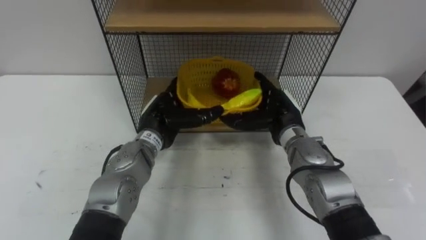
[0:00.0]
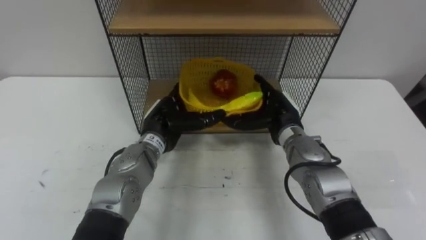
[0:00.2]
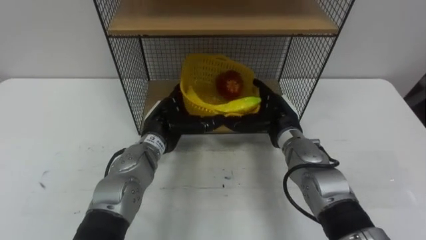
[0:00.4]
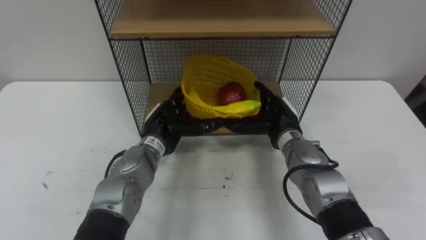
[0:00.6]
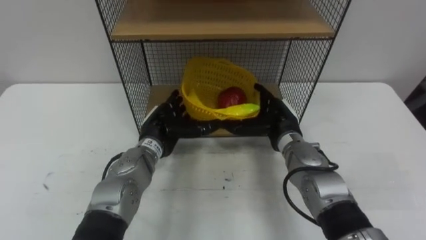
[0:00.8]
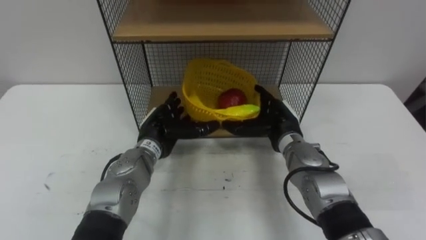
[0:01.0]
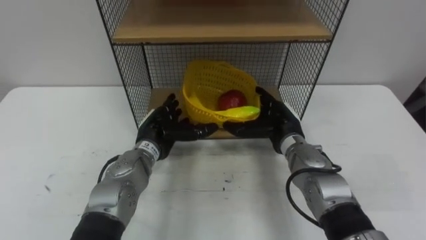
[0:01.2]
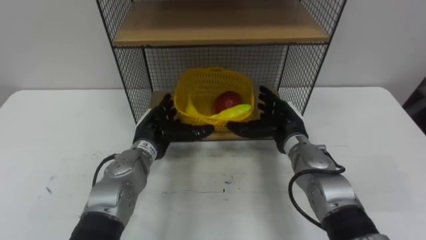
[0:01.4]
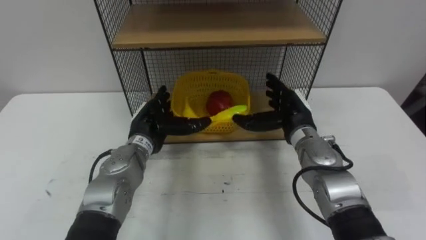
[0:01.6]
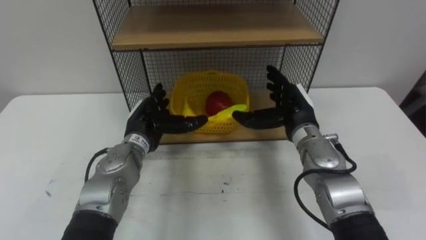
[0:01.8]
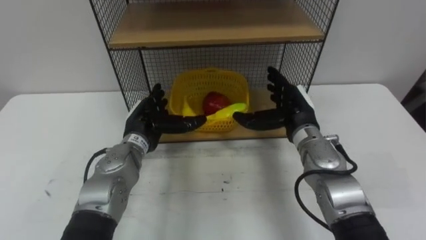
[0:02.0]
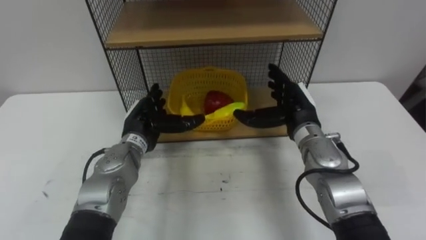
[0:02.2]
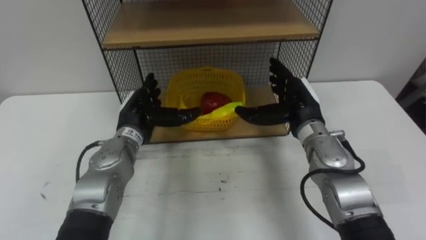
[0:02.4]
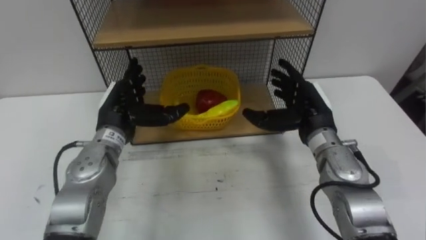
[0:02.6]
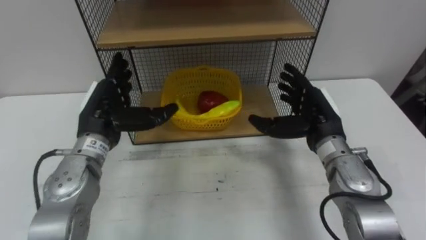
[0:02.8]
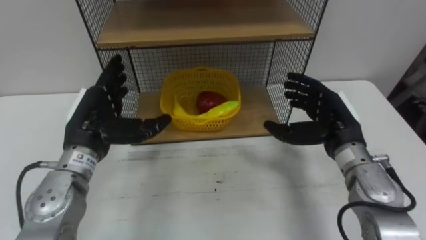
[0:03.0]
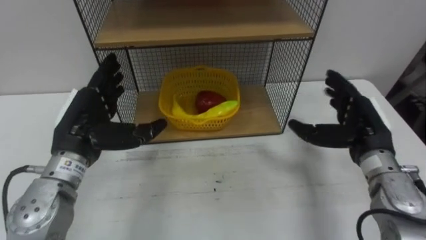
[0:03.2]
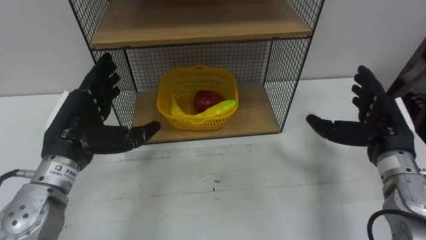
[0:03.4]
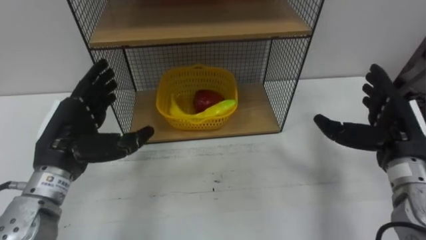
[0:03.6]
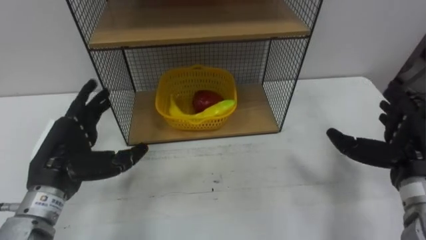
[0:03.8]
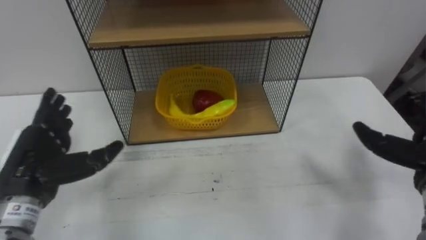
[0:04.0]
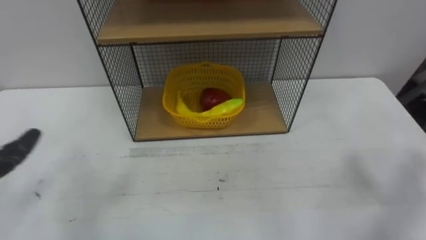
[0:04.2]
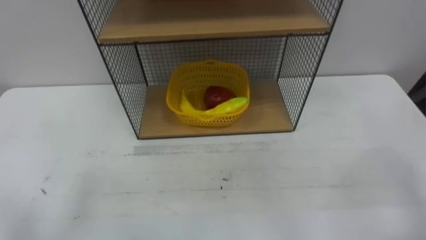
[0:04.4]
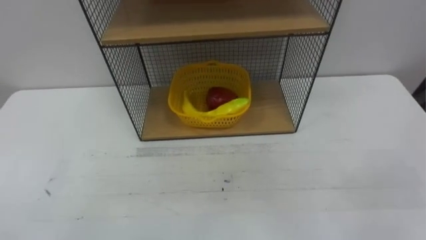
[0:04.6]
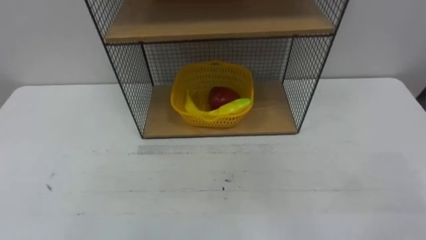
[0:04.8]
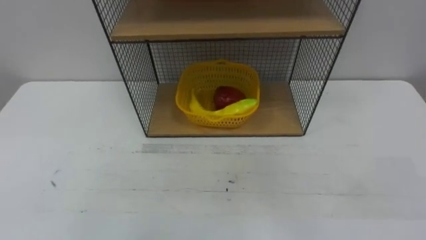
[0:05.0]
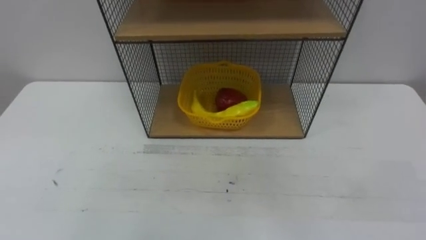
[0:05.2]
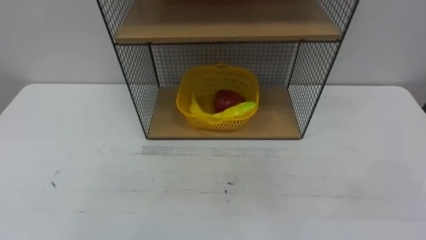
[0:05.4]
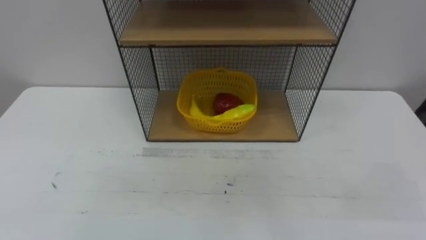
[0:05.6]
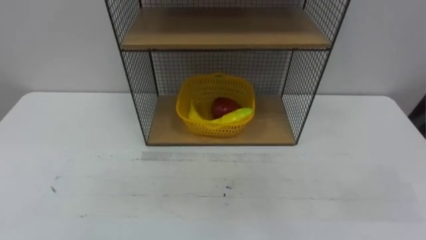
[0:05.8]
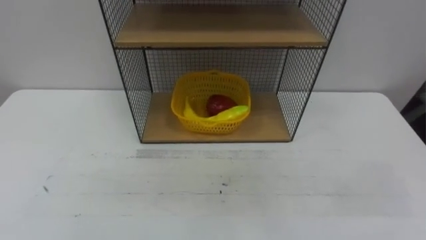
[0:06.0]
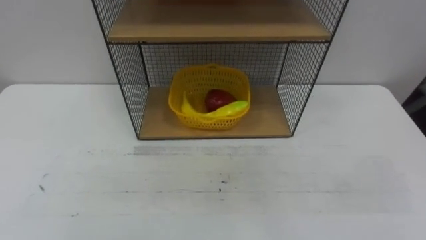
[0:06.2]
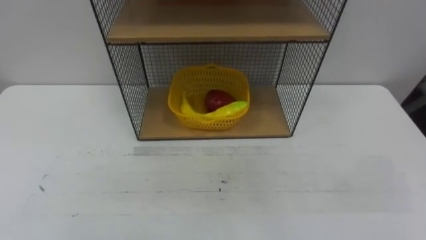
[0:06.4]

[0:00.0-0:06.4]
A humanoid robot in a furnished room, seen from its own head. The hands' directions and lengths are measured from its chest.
Task of the whole recording: Put the fruit on the table into the basket, then place the basket on the shelf.
0:01.6 to 0:03.2: The left hand travels upward, to the left and backward by roughly 15 cm. Meanwhile the right hand moves to the right and backward, some 10 cm.

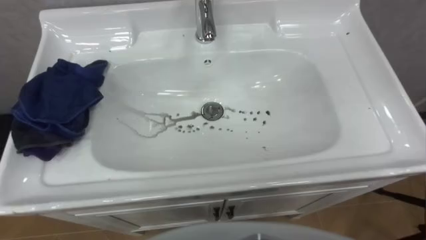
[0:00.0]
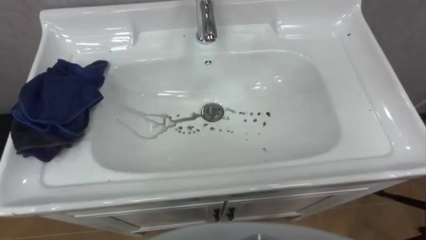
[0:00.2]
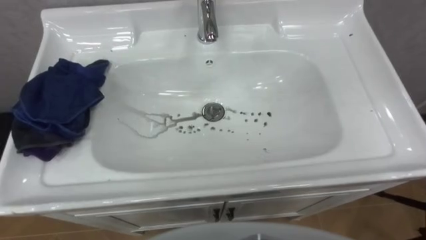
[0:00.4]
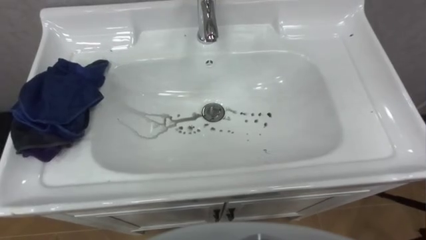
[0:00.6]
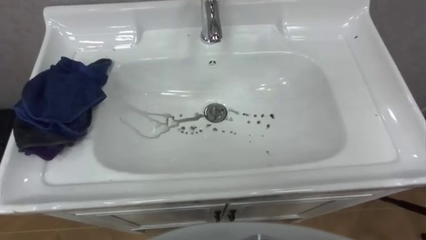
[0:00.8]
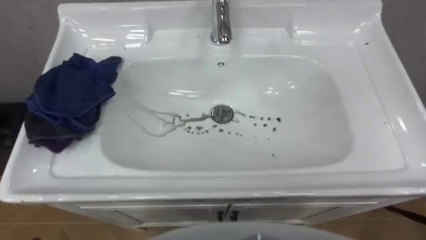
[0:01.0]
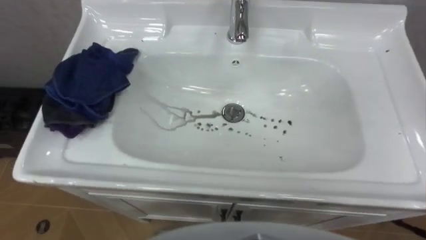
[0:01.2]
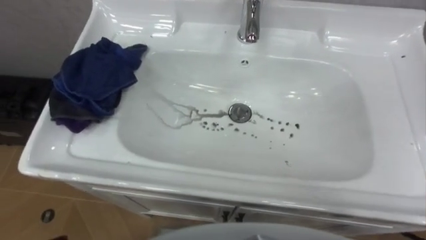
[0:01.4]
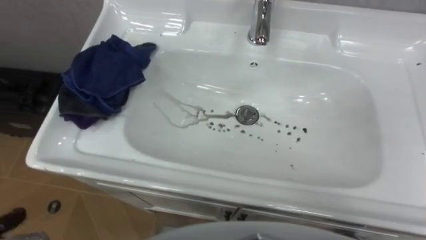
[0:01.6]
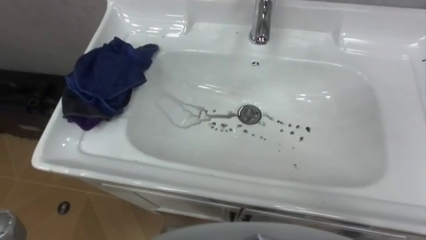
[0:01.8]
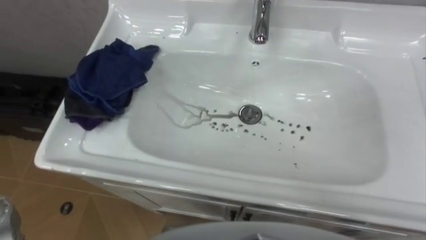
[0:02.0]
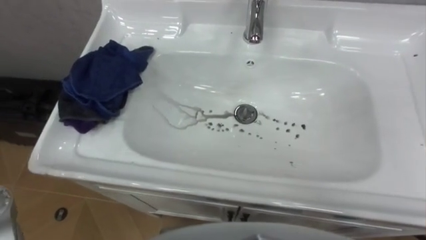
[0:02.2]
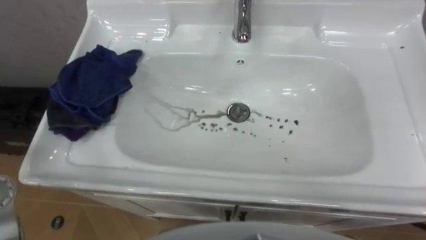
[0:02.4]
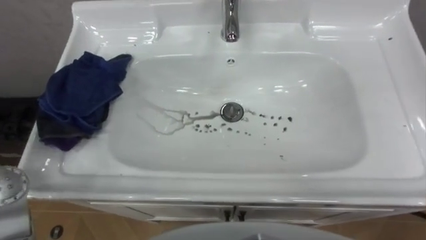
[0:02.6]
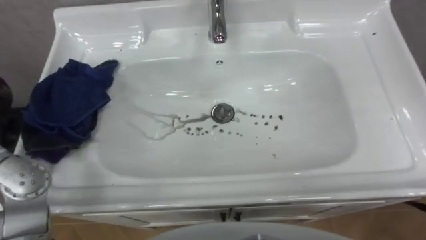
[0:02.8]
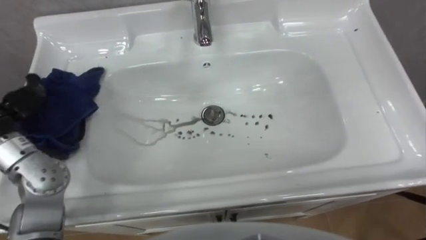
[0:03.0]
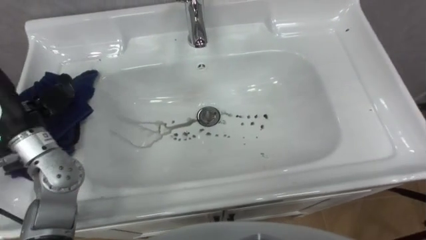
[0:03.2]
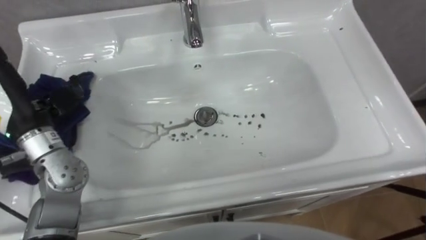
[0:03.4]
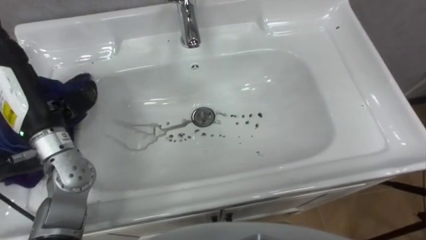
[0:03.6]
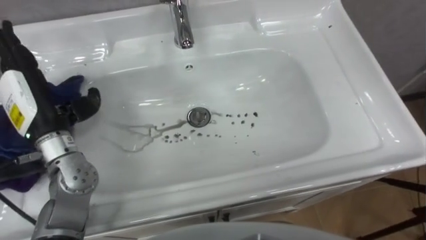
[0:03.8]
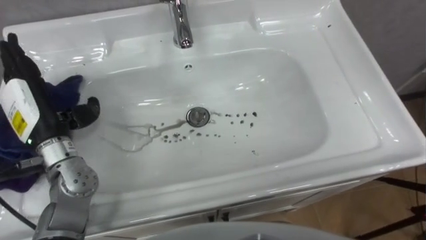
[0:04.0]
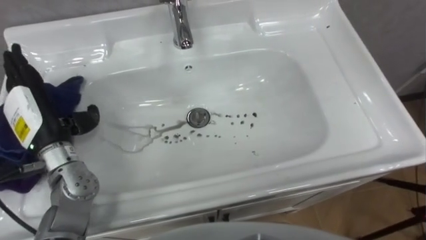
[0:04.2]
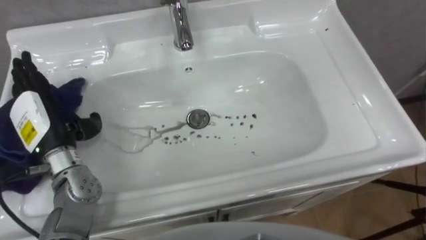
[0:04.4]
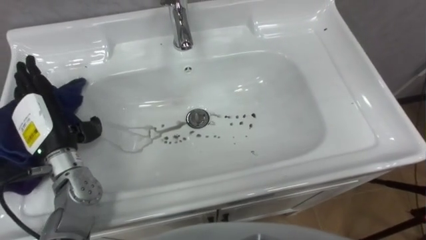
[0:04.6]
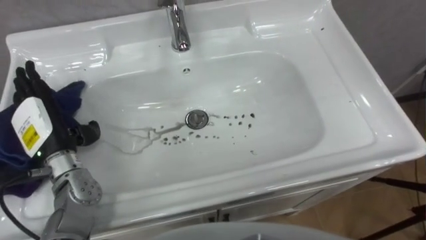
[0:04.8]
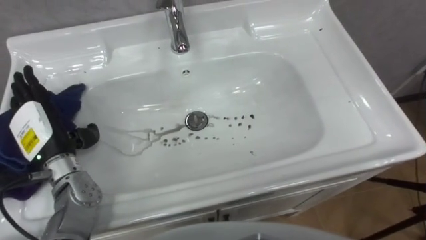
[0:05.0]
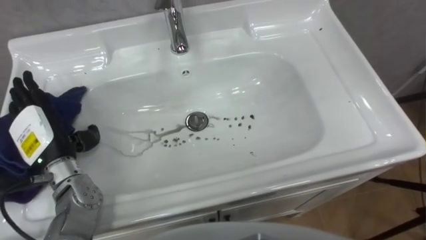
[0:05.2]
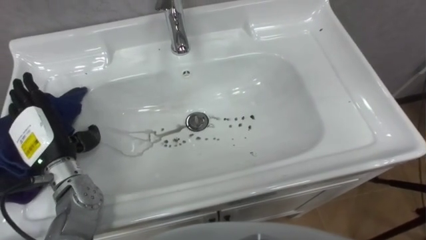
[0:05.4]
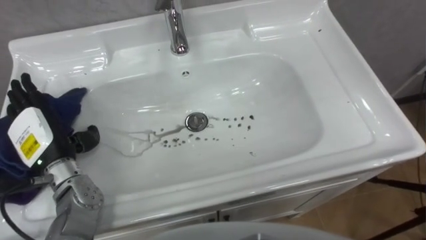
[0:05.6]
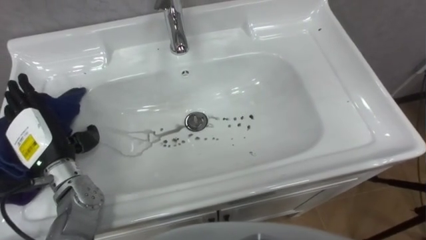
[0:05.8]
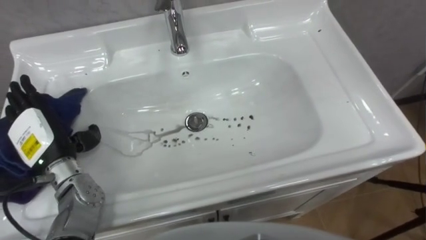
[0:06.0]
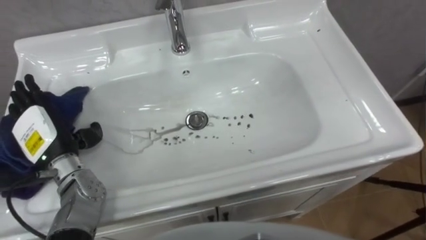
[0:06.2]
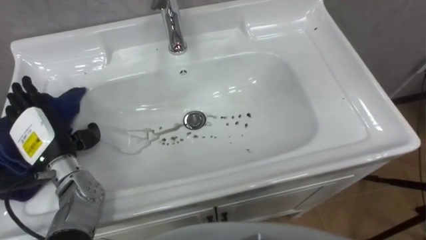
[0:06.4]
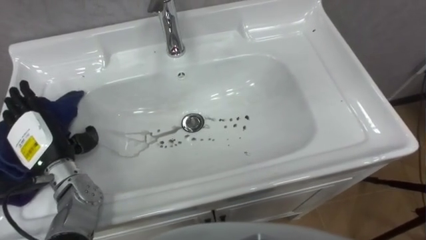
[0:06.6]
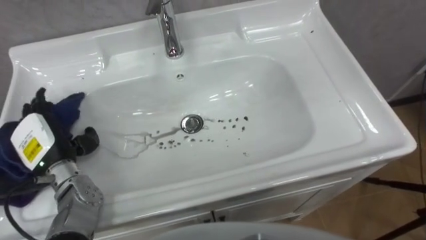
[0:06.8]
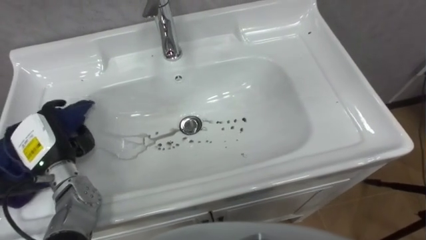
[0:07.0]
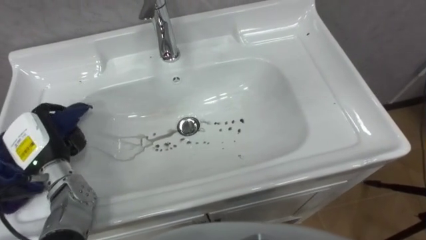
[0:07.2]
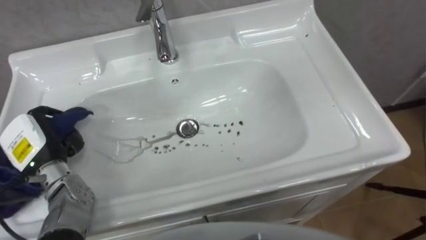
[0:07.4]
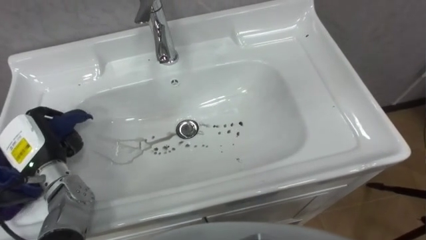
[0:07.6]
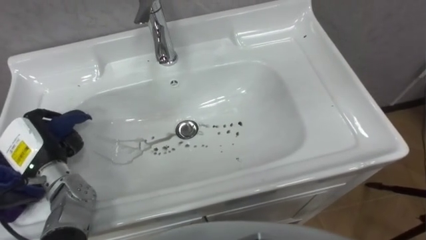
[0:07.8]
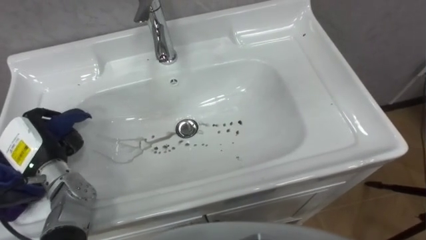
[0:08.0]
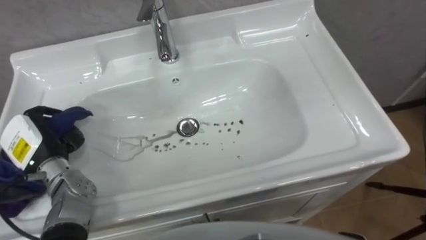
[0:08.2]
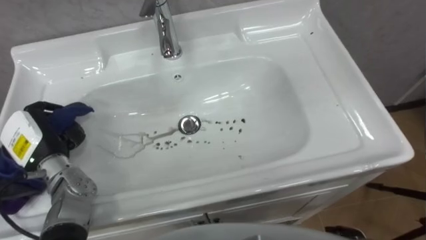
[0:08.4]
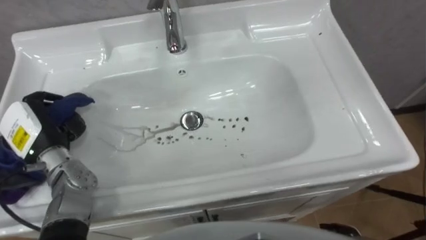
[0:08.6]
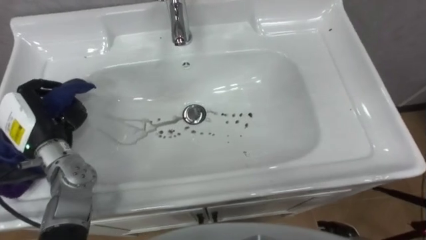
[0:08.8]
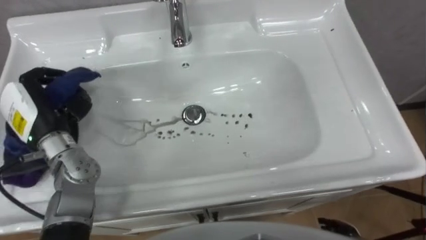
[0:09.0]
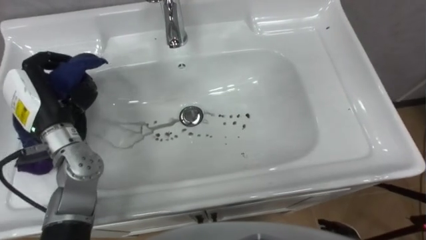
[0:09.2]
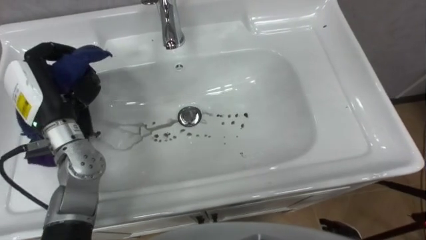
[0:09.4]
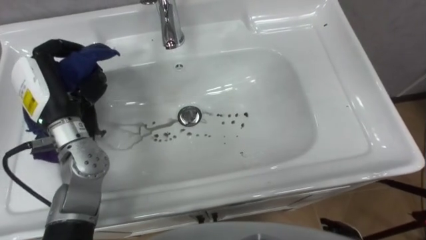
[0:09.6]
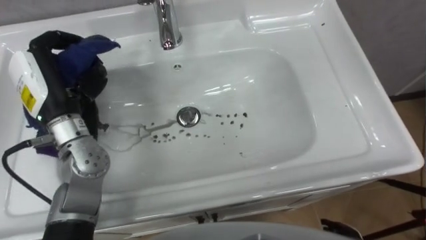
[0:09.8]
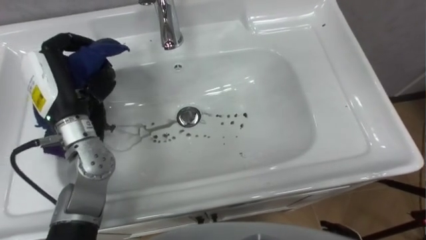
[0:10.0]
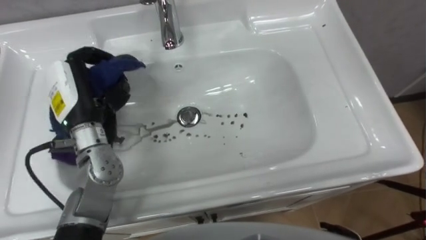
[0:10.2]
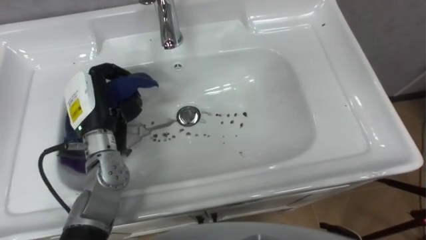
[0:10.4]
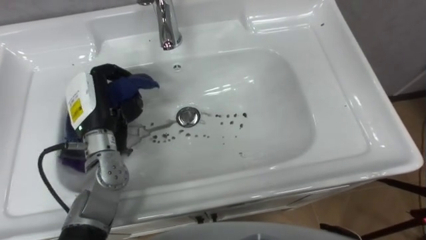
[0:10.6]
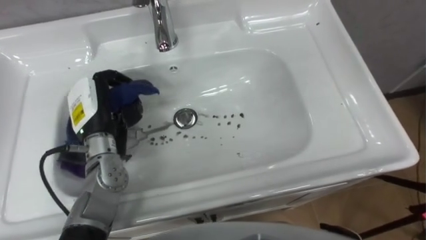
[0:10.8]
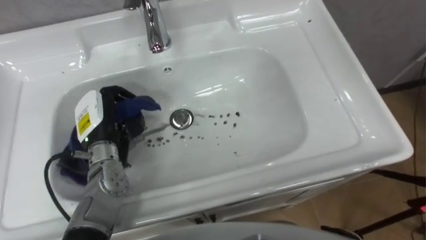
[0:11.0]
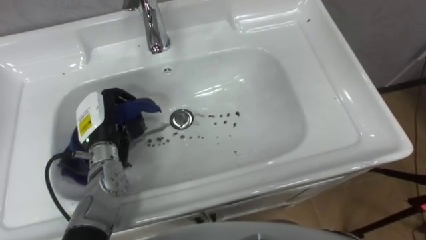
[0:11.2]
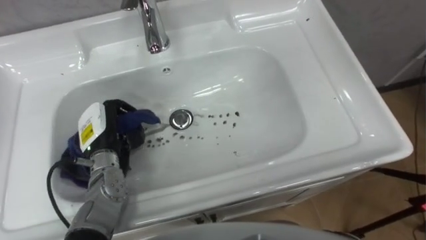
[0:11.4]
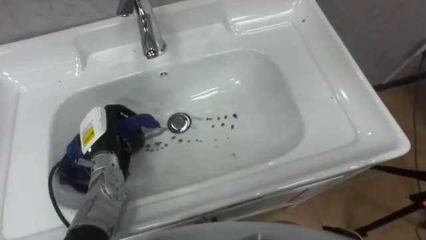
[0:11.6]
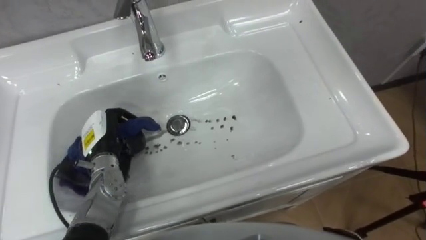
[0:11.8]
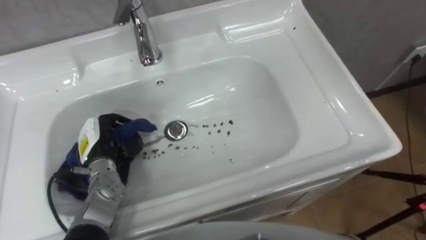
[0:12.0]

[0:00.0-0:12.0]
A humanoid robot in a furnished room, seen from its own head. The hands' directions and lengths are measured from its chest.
Task of the whole recording: Use the cloth on the right to wipe away the black stain in the sink.
0:06.0 to 0:07.6: The left hand closes.
0:07.6 to 0:09.0: The left hand travels upward by some 5 cm.
0:09.0 to 0:10.4: The left hand goes roughly 10 cm to the right.
0:10.4 to 0:12.0: The left hand shifts about 10 cm downward.
